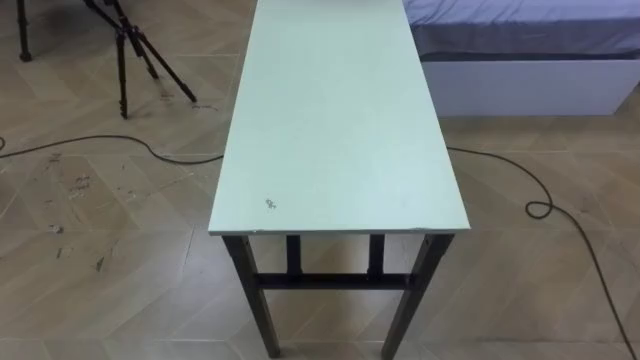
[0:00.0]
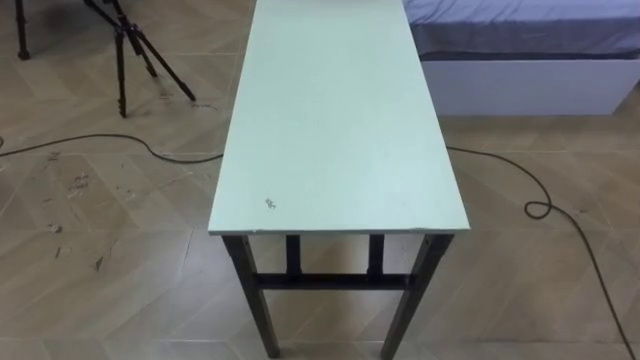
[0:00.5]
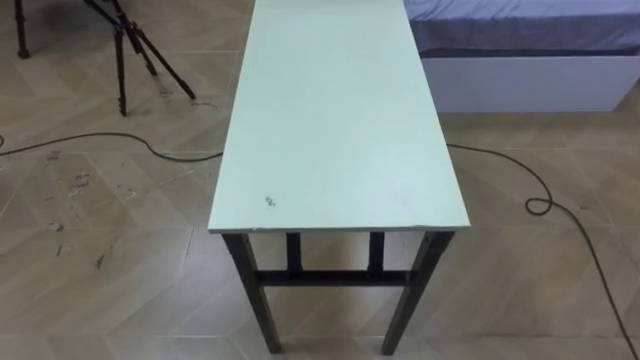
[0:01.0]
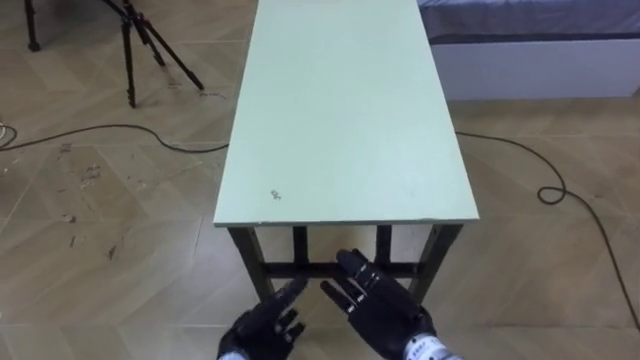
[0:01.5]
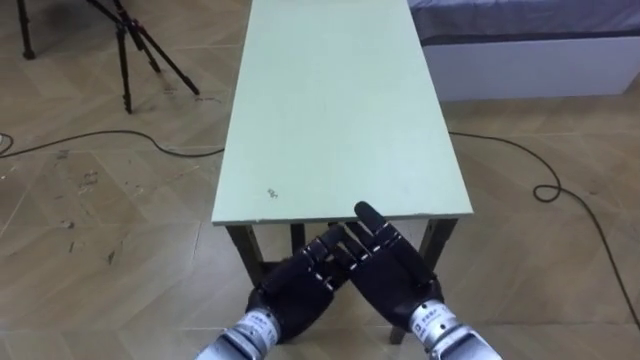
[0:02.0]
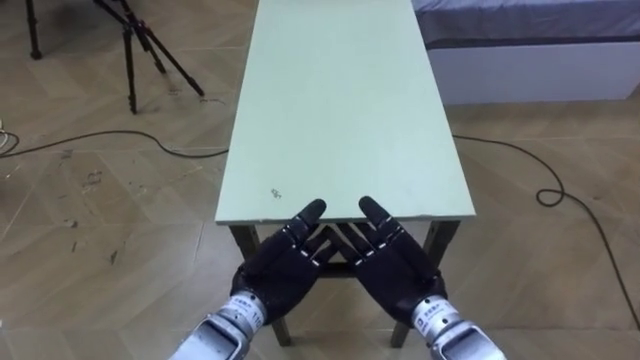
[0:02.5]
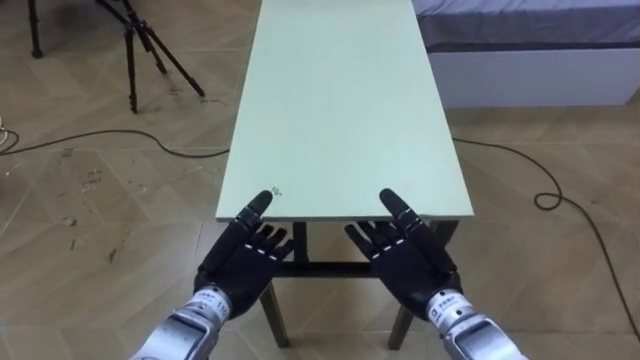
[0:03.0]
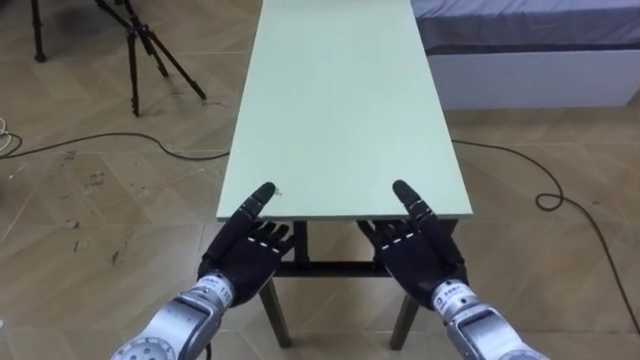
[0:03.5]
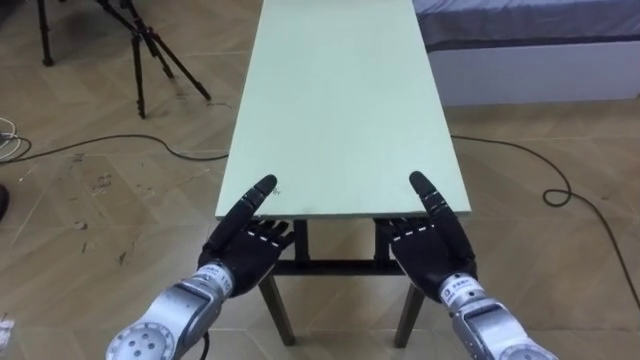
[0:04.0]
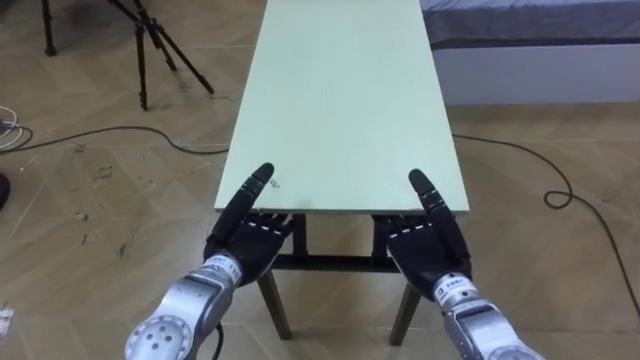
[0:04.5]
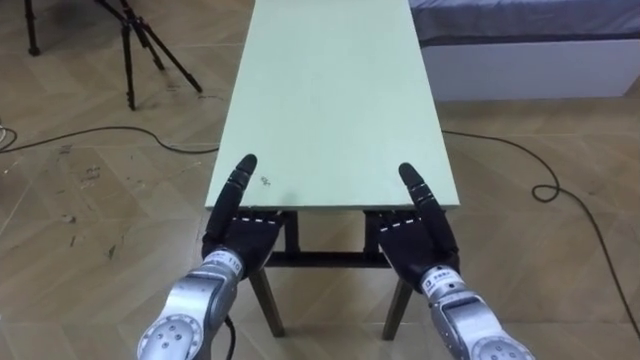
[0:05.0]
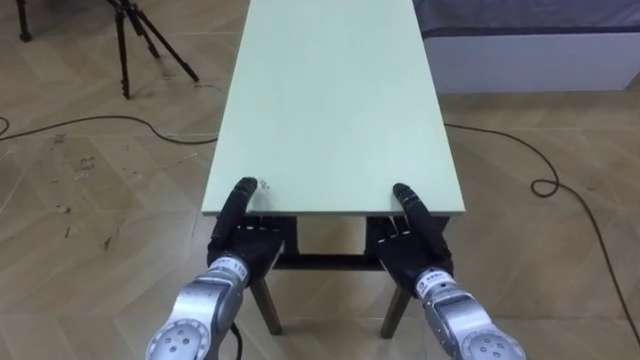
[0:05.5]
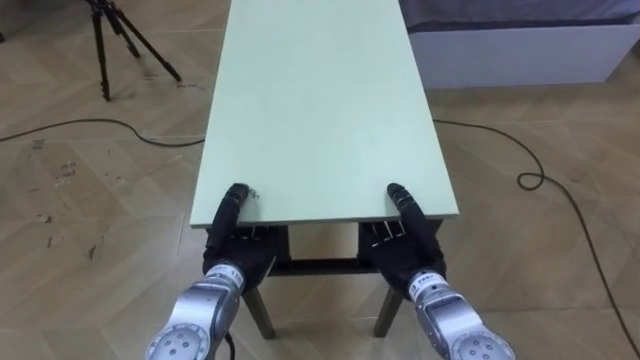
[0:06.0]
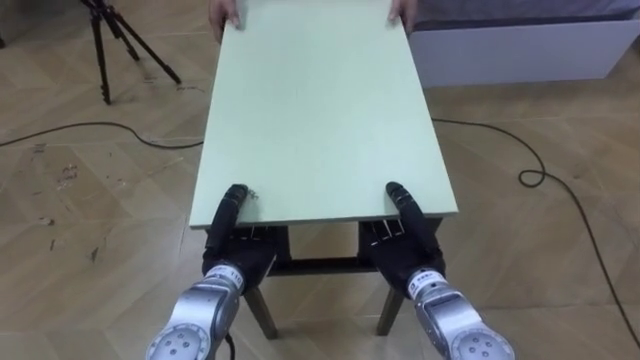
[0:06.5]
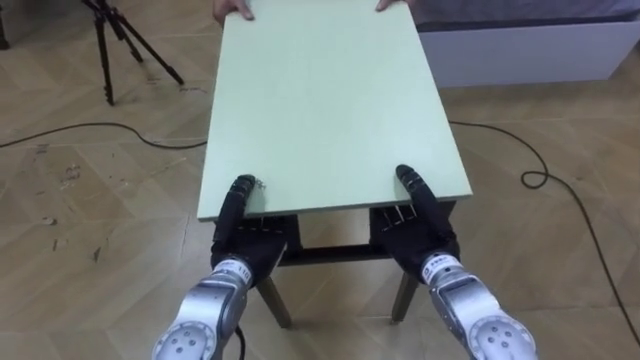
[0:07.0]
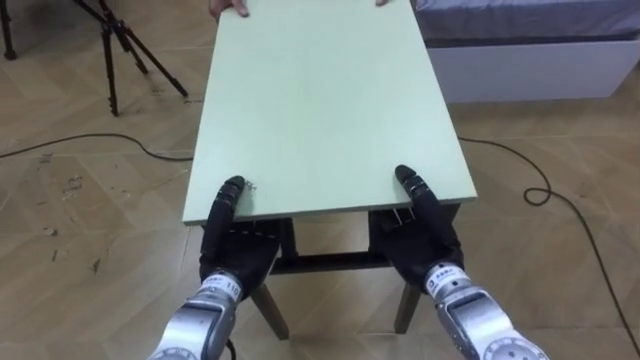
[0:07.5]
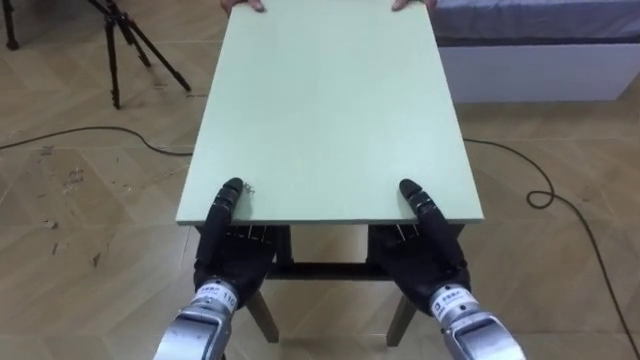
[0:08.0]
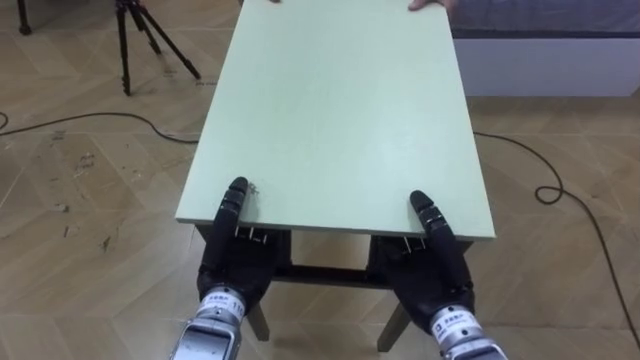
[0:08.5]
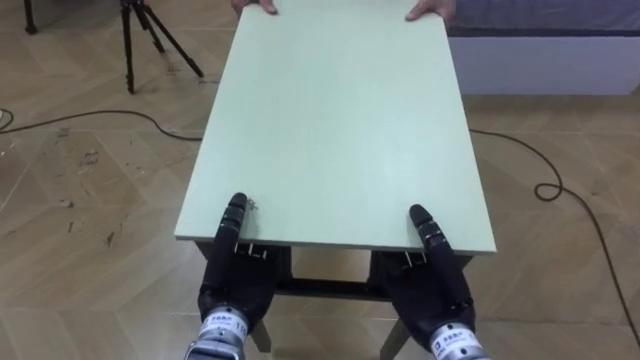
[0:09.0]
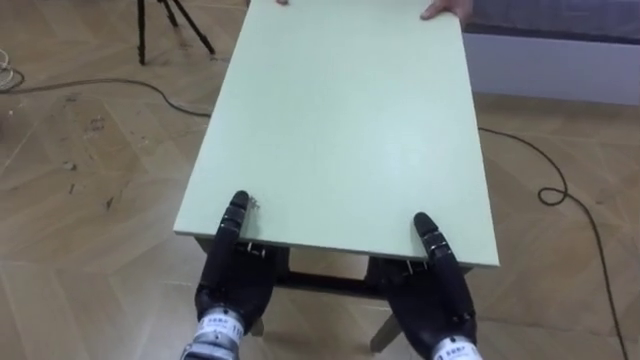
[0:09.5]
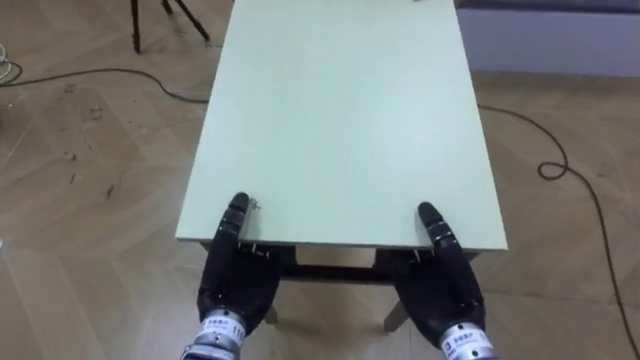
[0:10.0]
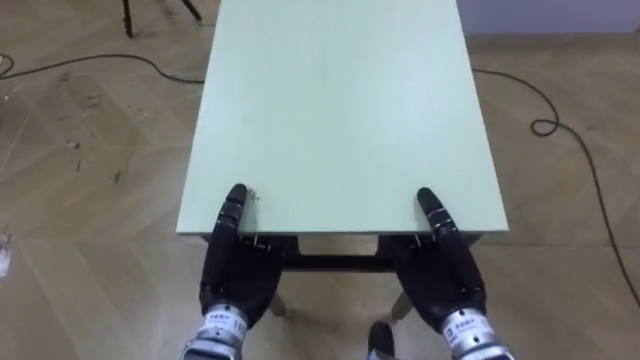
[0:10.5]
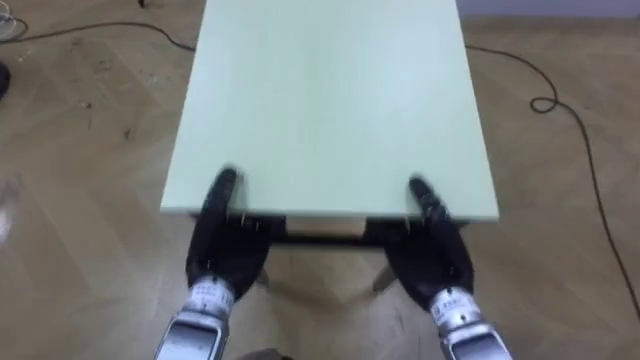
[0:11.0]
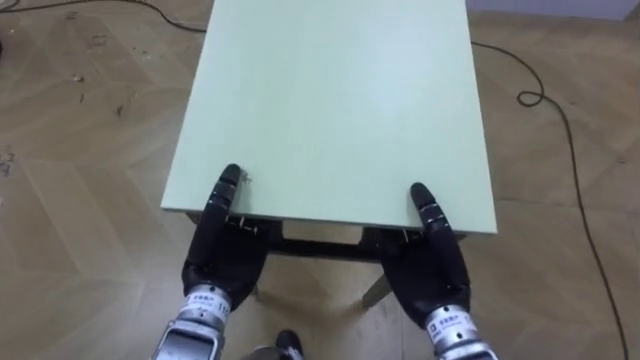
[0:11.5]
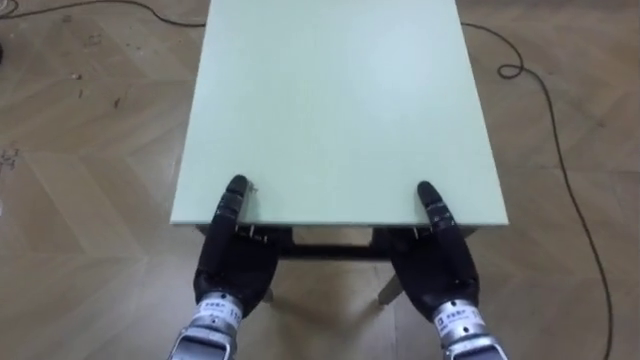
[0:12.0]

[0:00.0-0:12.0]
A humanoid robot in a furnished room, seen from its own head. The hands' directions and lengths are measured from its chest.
Task of the whole recording: Move the table to the back left with someone.
0:02.0 to 0:04.0: The left hand moves to the left and forward, approximately 10 cm, while the right hand moves to the right, approximately 5 cm.
0:04.0 to 0:06.0: The right hand closes, while the left hand closes its fingers.
0:06.0 to 0:08.0: The right hand shifts by approximately 5 cm.

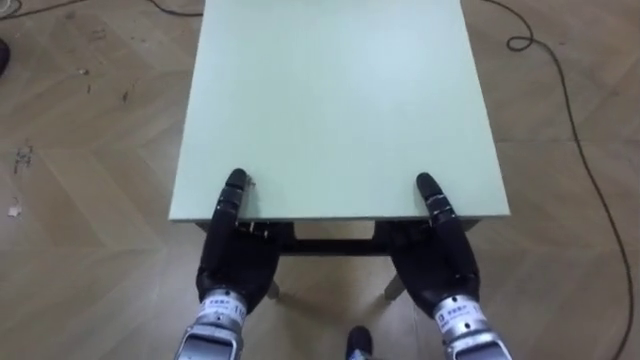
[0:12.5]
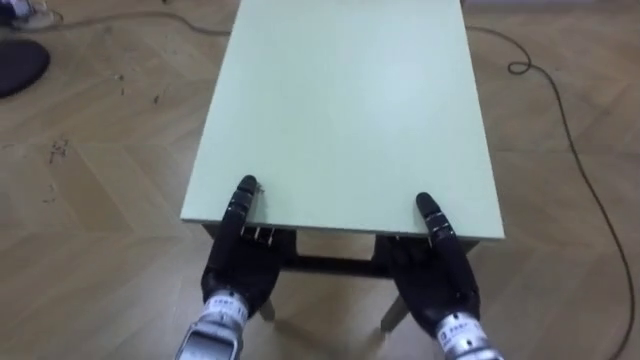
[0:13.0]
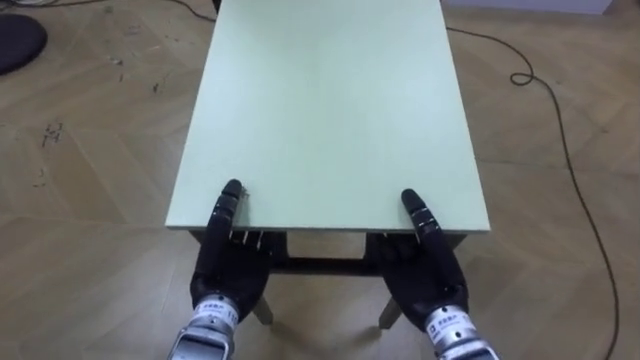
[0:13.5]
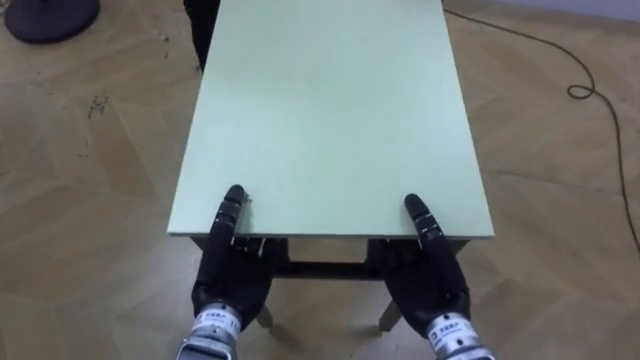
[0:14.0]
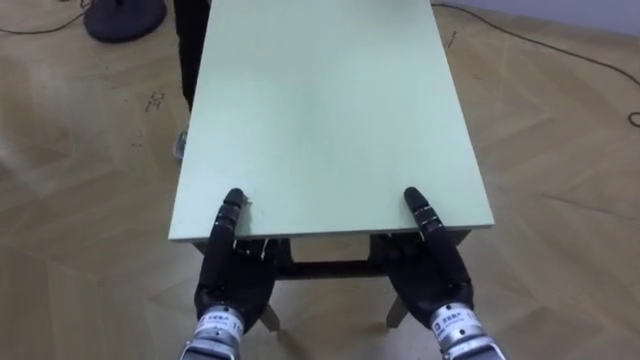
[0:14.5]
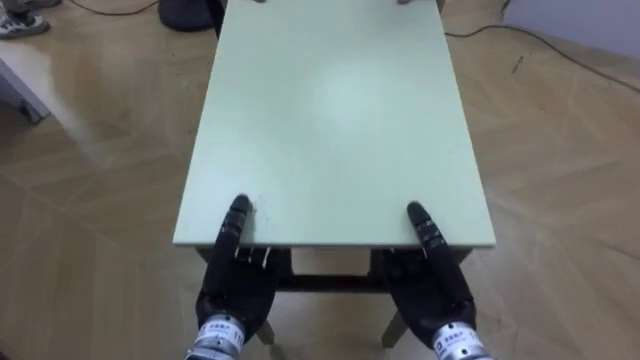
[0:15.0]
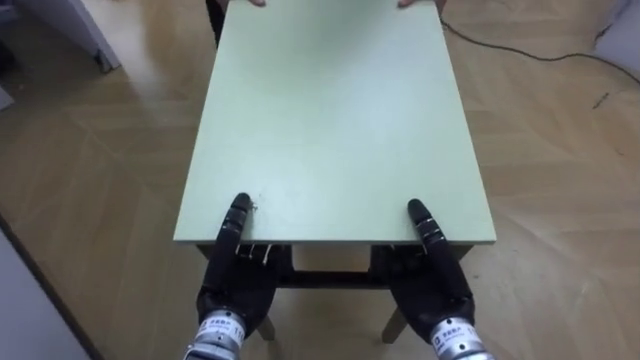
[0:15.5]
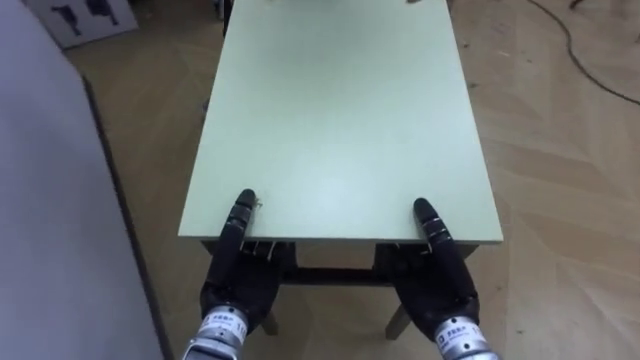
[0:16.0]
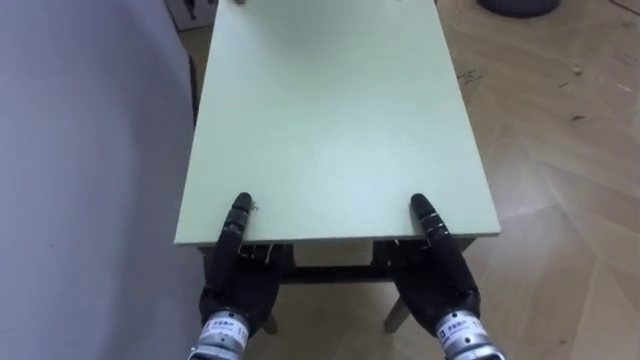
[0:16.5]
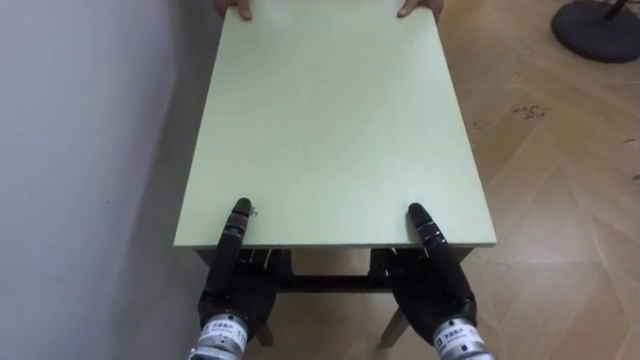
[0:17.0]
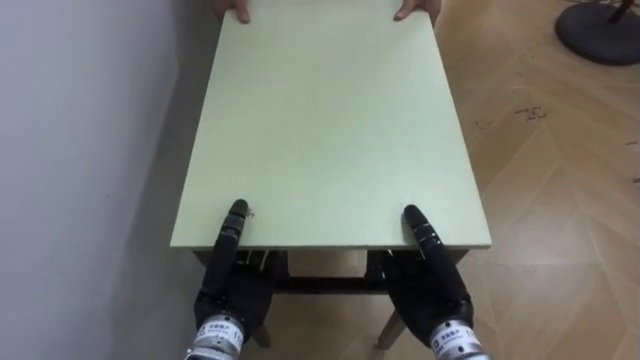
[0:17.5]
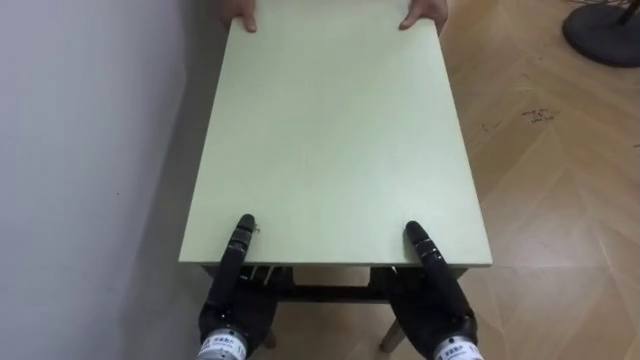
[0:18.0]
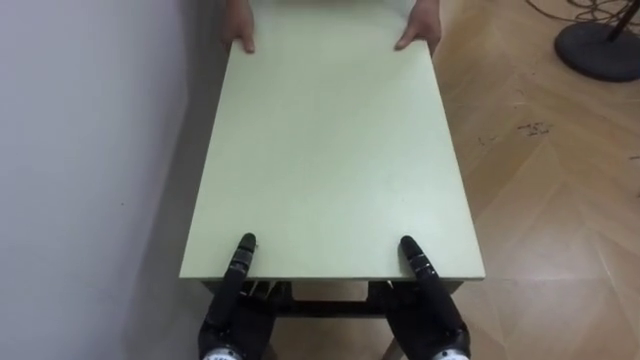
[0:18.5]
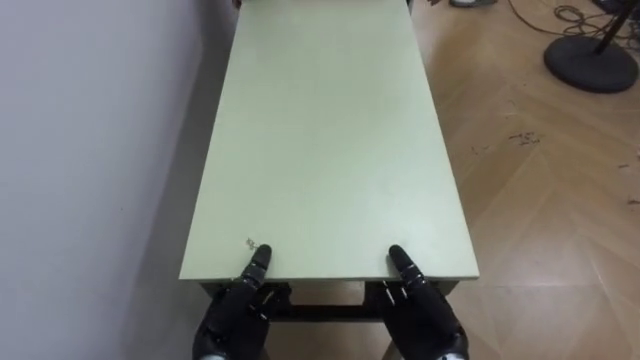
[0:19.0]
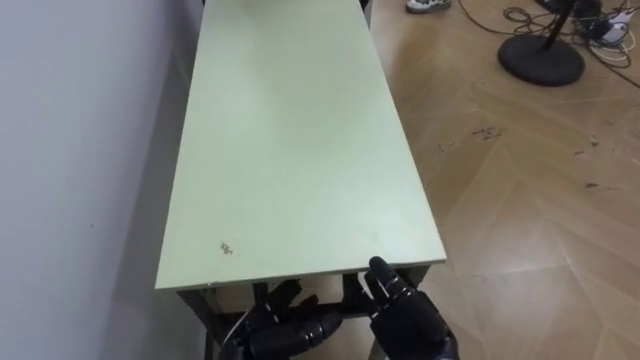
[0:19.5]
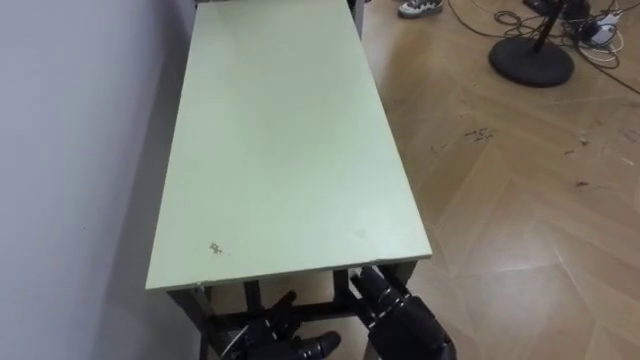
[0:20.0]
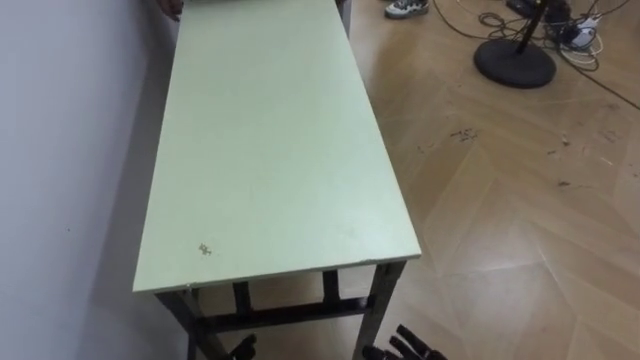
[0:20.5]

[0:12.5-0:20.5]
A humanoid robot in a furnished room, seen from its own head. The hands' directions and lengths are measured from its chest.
Task of the whole recording: Move the table to the back left with someone.
0:14.5 to 0:16.5: The robot rotates approximately 55 degrees to its left.
0:16.5 to 0:18.5: The right hand shifts by some 5 cm. Meanwhile the left hand moves downward, roughly 5 cm.
